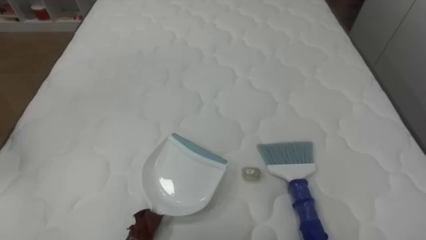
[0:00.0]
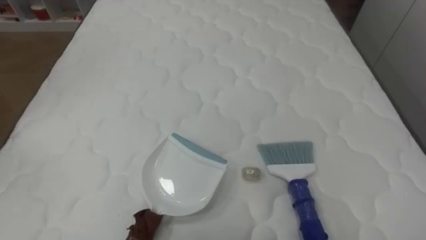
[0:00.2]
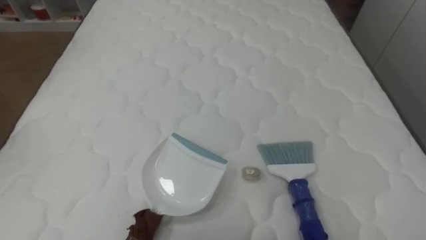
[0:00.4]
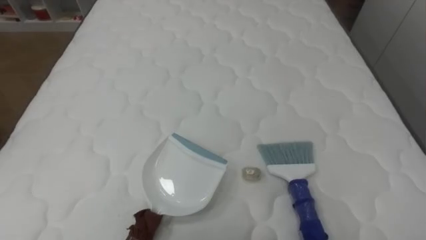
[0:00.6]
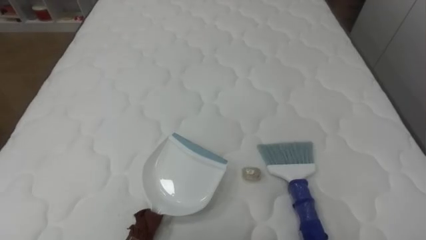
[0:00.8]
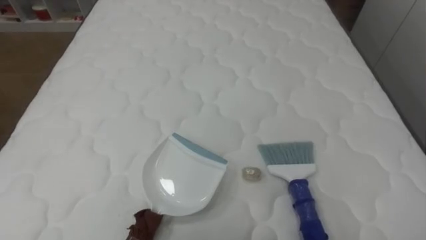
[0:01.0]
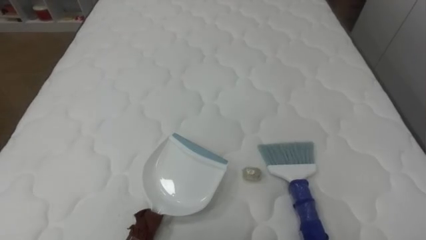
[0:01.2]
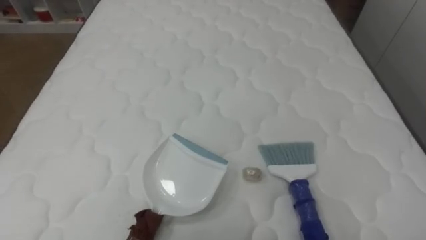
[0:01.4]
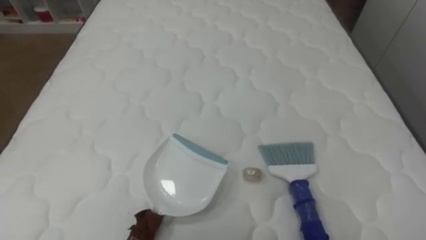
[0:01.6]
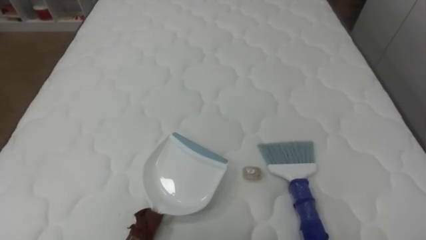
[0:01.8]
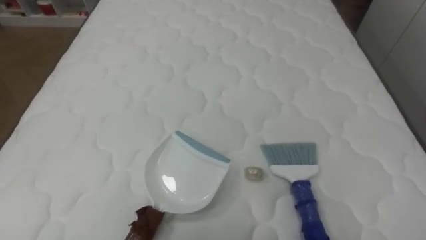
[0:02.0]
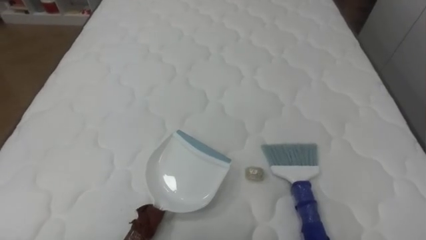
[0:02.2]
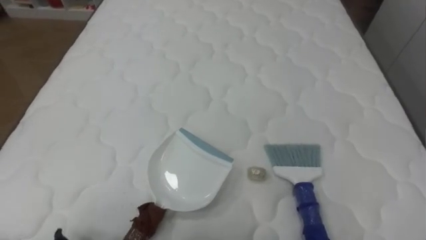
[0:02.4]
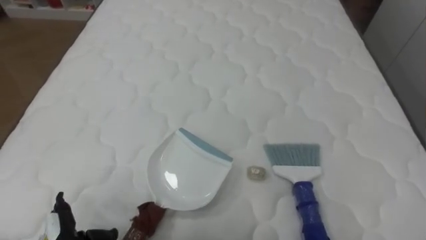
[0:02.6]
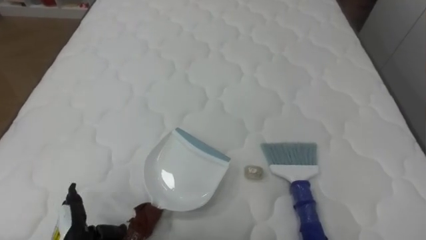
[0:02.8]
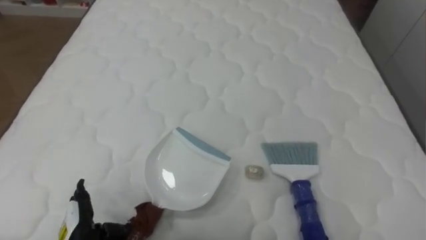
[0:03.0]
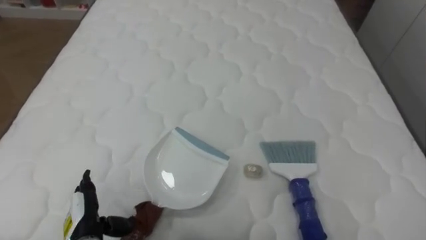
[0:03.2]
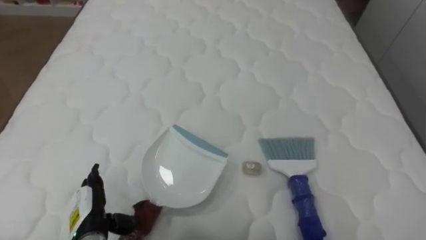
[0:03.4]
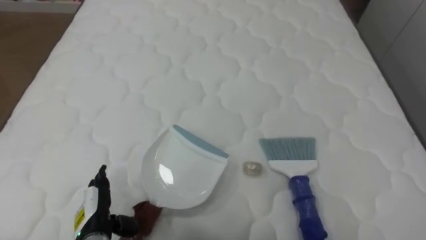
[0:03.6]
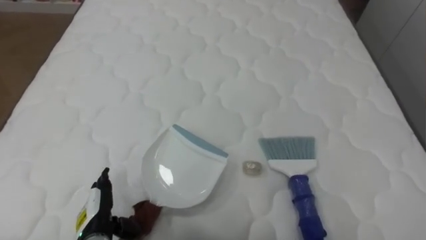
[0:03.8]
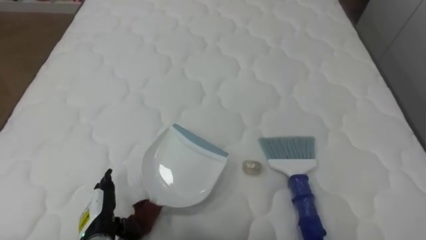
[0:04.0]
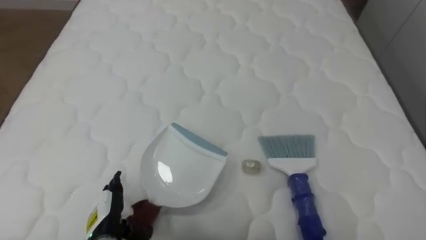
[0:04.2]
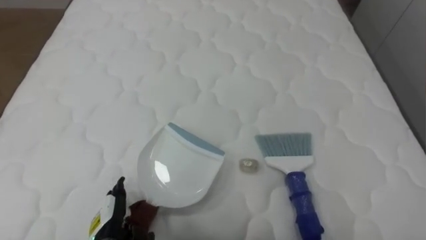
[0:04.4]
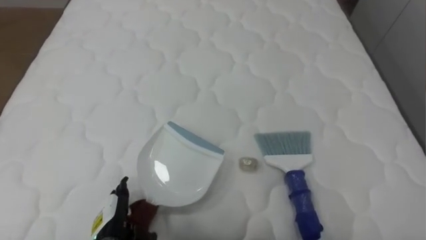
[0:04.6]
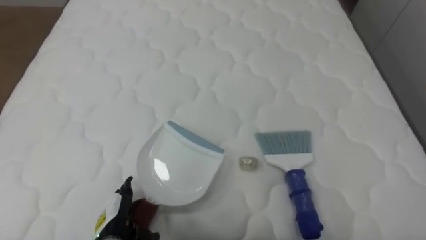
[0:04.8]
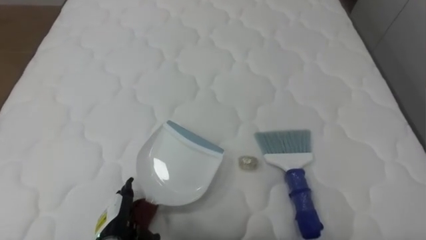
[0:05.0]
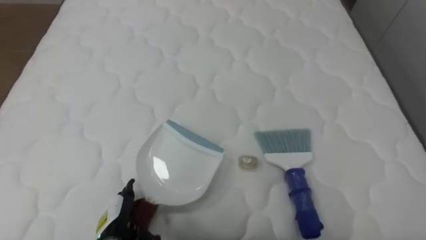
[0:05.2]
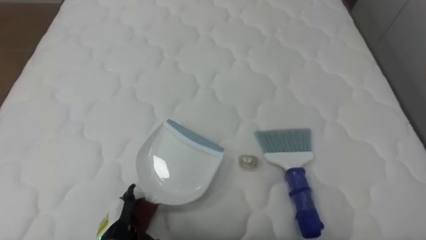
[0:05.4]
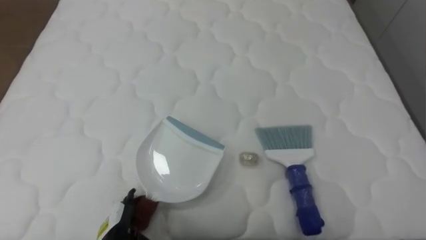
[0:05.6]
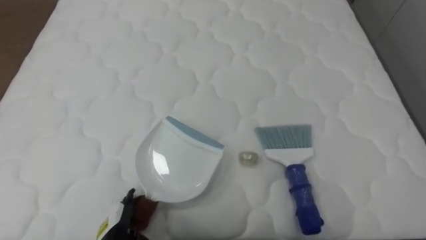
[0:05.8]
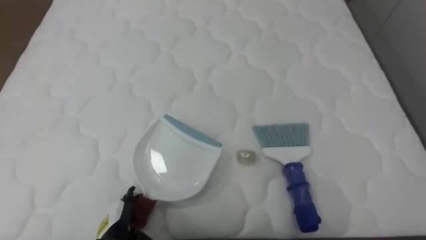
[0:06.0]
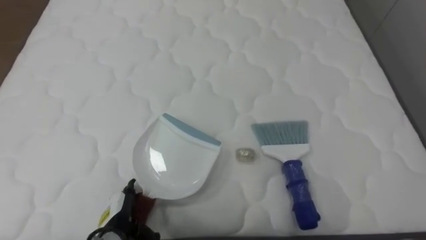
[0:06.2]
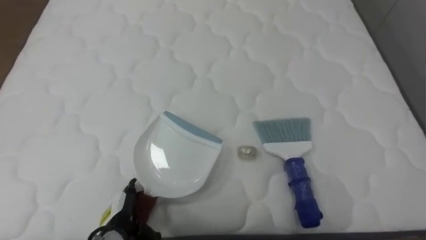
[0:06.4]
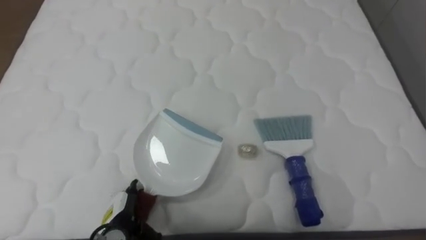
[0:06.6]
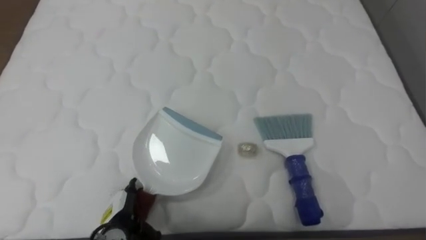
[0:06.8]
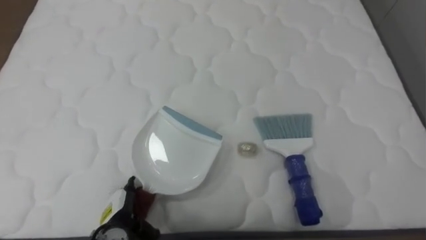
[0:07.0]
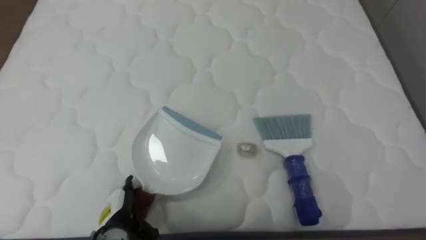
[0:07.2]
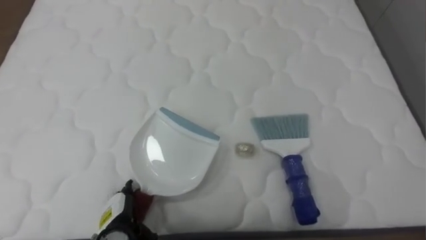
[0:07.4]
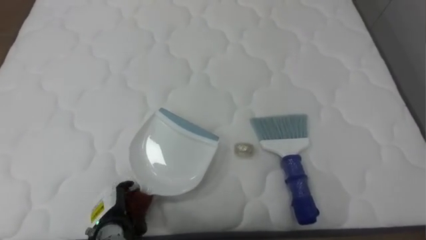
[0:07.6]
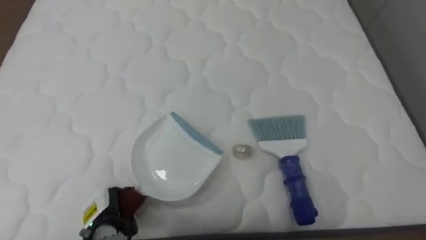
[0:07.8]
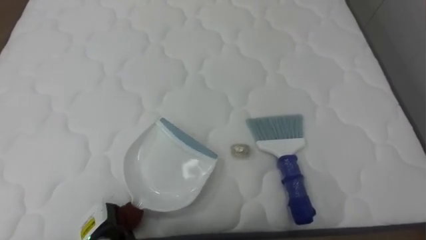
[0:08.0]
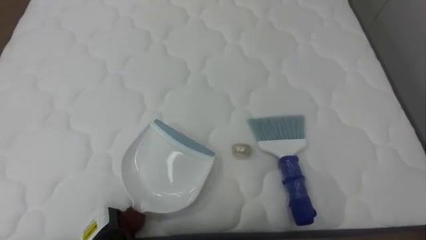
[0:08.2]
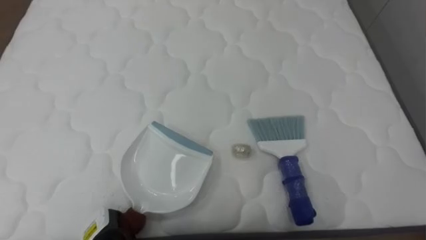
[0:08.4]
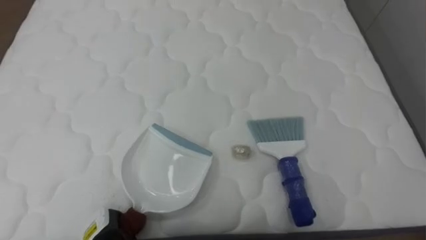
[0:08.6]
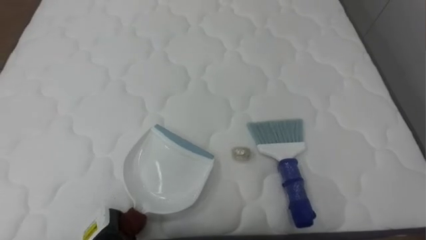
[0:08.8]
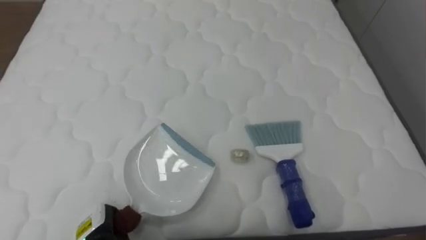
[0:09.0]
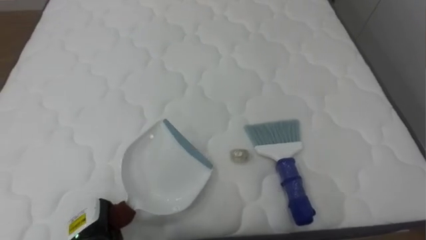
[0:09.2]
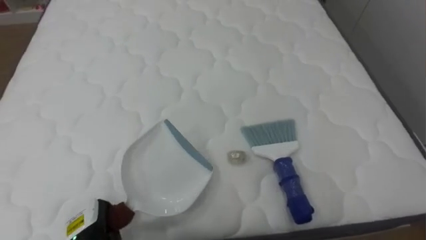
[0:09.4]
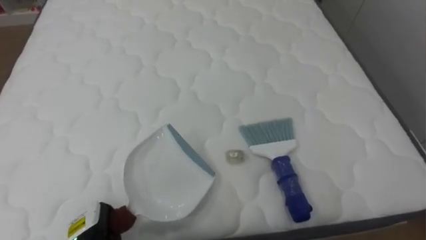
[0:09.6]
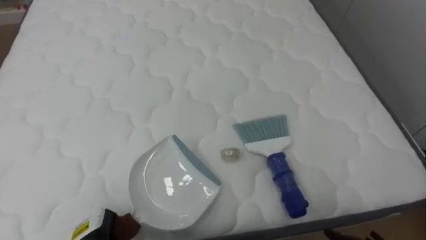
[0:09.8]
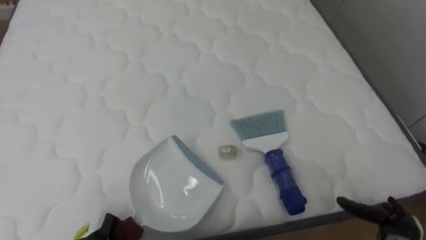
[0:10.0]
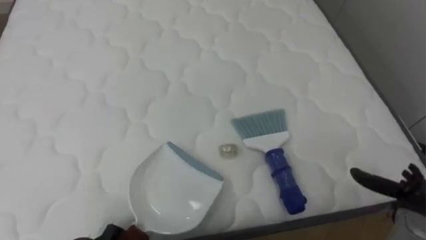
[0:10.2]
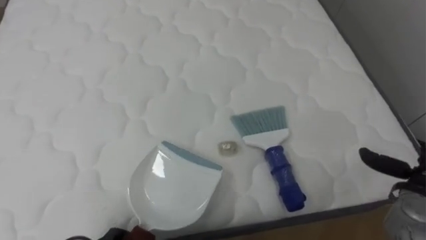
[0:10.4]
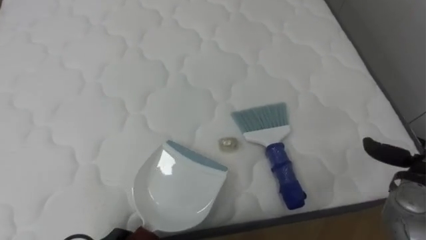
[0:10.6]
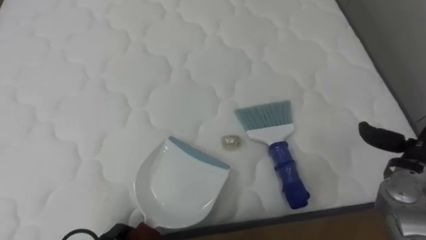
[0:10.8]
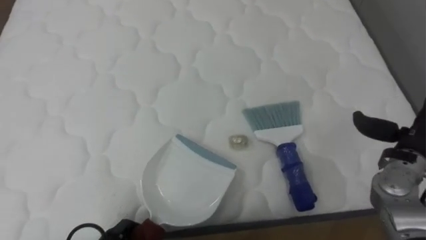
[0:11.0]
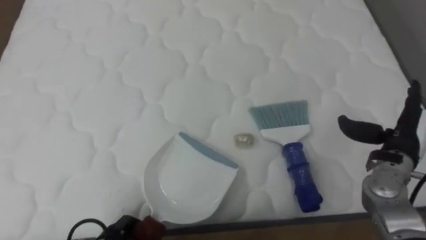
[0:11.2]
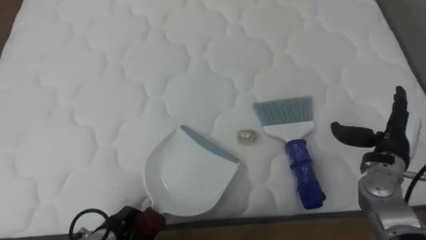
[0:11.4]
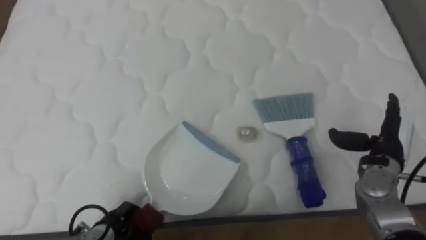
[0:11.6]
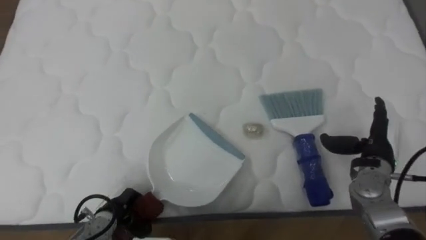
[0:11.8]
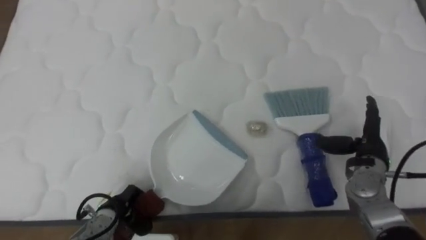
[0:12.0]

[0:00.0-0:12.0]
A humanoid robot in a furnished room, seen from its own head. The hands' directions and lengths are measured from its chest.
Task of the whole recording: Pick up the brush on your right and the dustpan on your left. Use the brush to sweep the crumpled paper on the bed into the dustpan, then turn left and empty it into the basket.
0:03.0 to 0:04.4: The left hand shifts some 5 cm to the right.
0:07.6 to 0:09.0: The left hand closes up.
0:10.4 to 0:12.0: The right hand heads to the left and forward, covering some 10 cm.

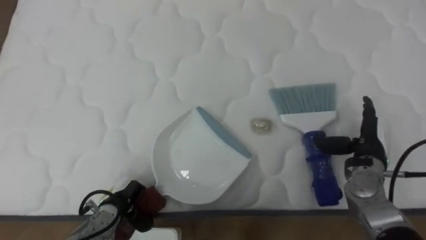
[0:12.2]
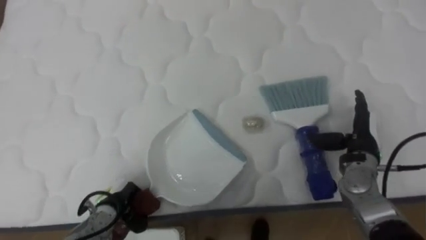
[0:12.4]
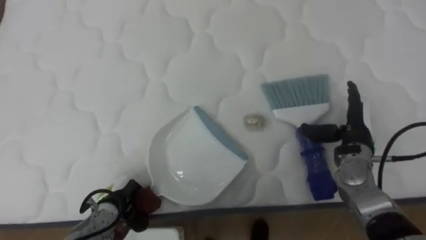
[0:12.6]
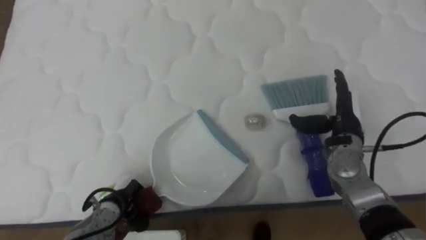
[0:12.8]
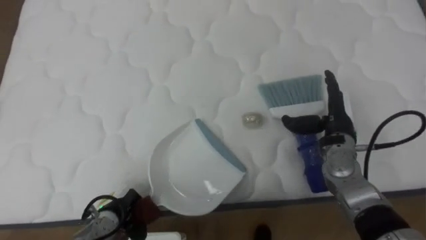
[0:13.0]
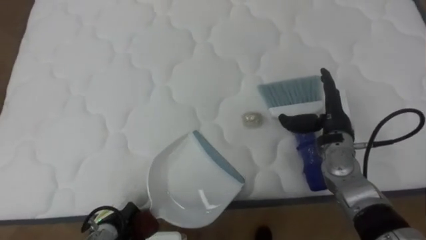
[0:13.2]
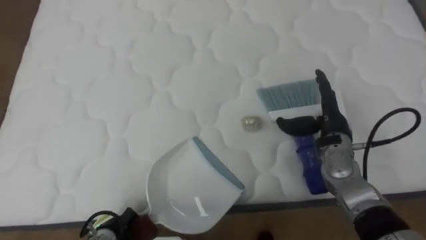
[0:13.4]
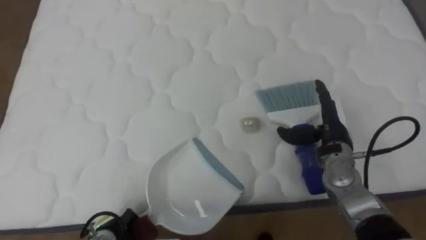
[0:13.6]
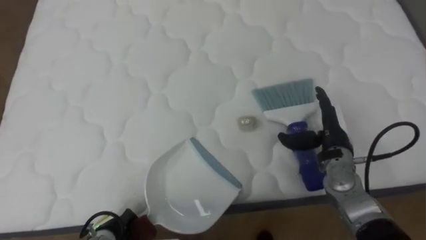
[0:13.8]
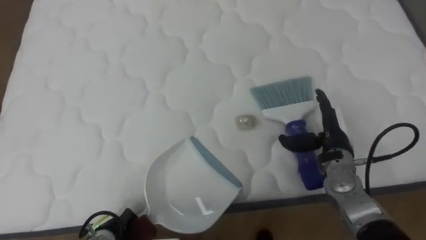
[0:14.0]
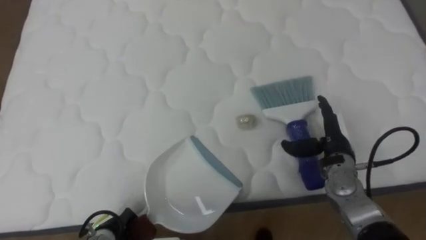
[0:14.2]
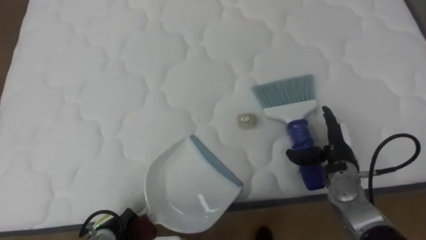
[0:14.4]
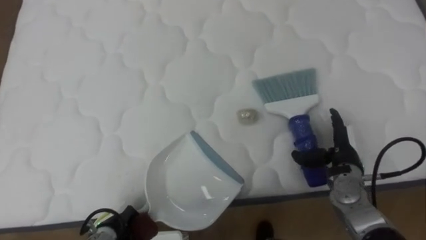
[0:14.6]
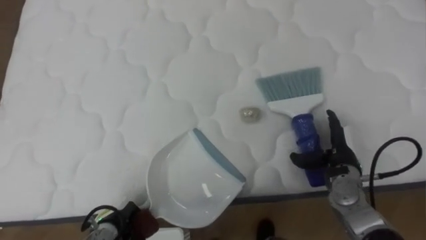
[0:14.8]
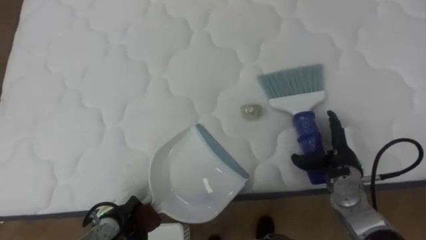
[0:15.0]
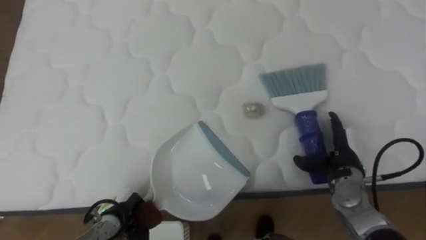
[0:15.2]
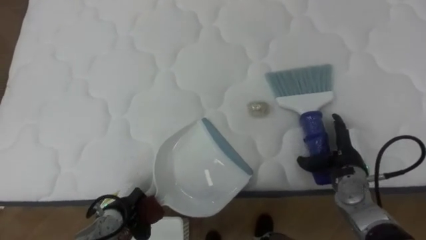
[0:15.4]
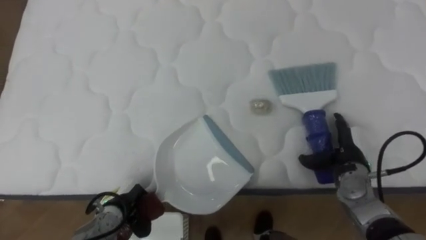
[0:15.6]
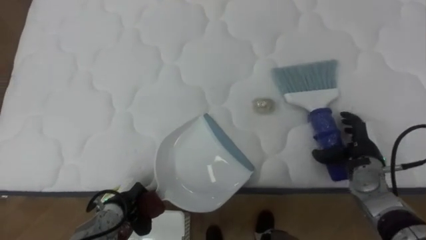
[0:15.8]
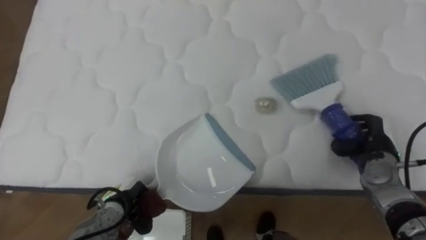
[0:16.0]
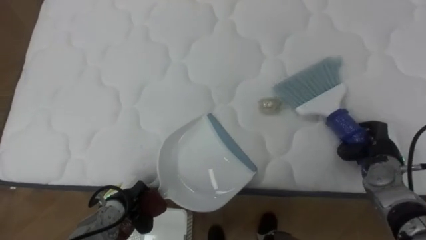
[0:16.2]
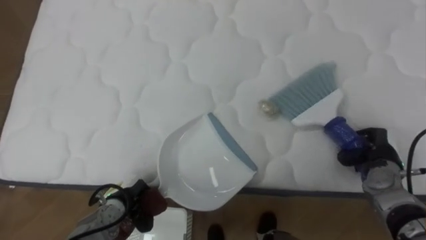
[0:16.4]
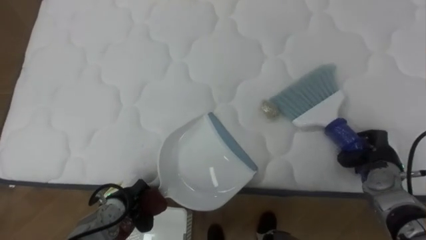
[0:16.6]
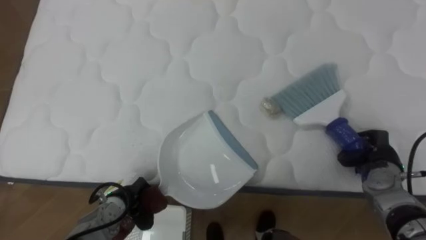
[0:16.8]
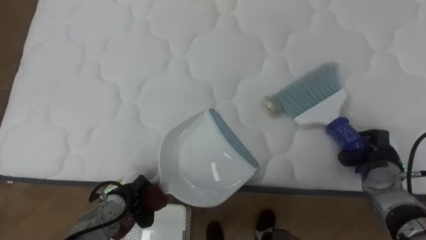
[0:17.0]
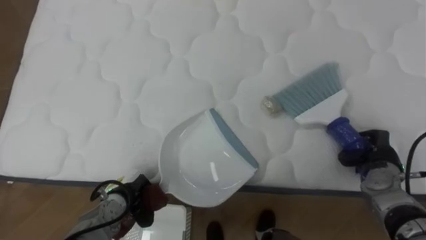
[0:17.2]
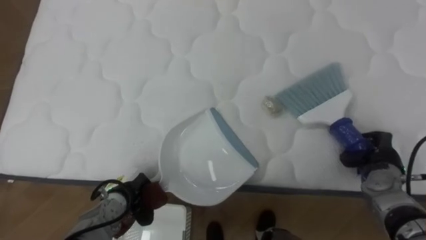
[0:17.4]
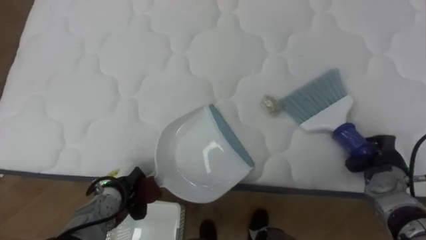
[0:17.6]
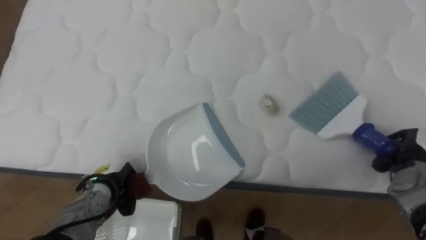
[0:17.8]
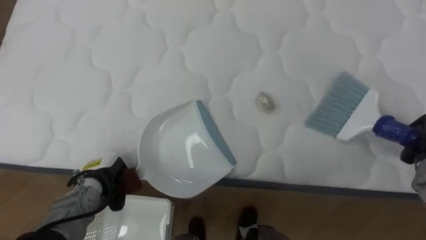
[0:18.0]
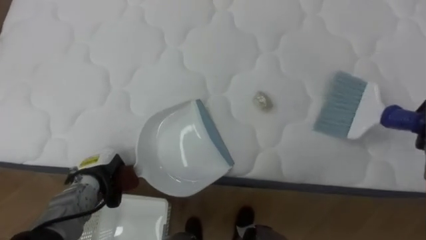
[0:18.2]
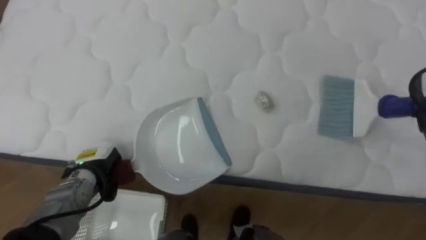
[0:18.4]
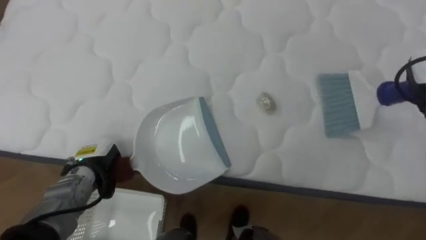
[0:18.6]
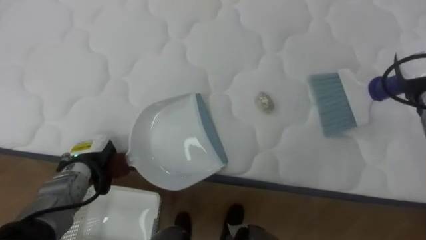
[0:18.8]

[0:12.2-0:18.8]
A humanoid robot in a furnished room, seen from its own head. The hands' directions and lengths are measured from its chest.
Task of the whole recording: Pick up the brush on your right and the dustpan on your left. Use the brush to sweep the crumpled paper on the bed into the dustpan, then turn left and empty it into the basket.
0:12.2 to 0:13.8: The right hand moves to the left, about 5 cm, while the left hand ends up some 5 cm from where it was.
0:13.8 to 0:15.4: The right hand ends up about 5 cm from where it was.
0:15.4 to 0:17.2: The right hand shifts about 5 cm to the right, and closes up.
0:17.2 to 0:18.8: The left hand shifts roughly 10 cm upward and to the left.
